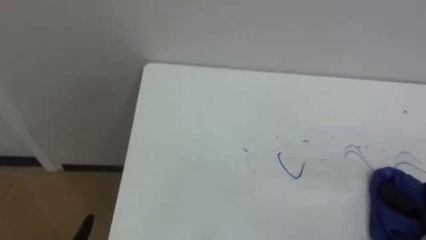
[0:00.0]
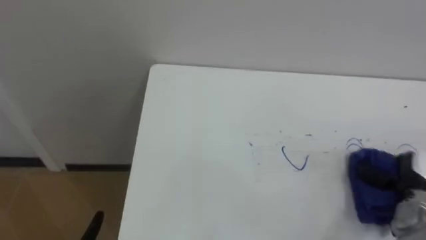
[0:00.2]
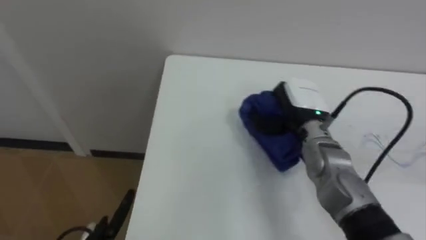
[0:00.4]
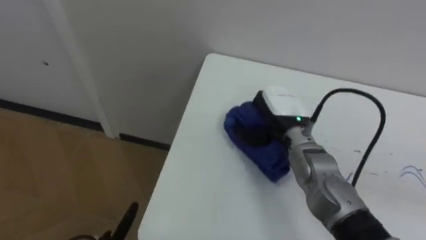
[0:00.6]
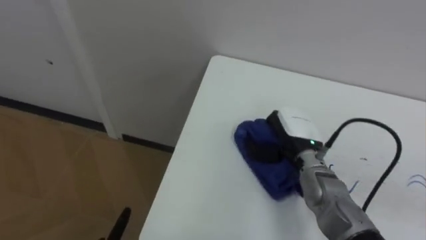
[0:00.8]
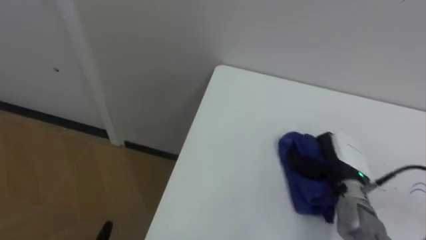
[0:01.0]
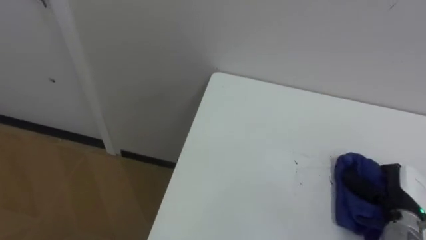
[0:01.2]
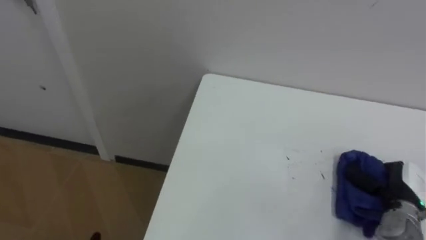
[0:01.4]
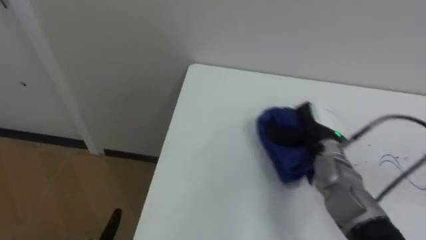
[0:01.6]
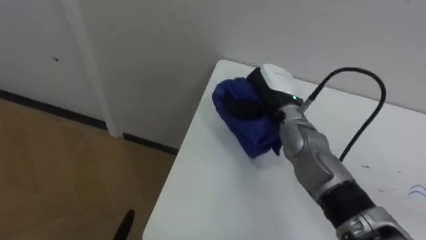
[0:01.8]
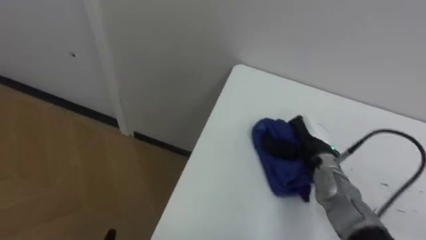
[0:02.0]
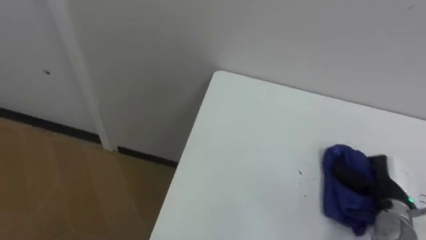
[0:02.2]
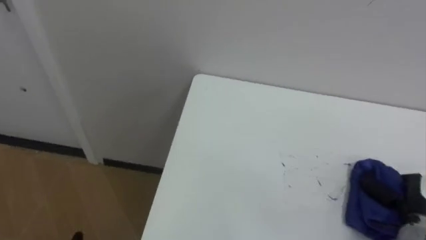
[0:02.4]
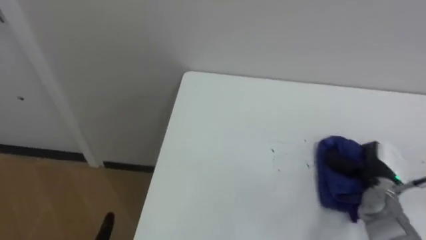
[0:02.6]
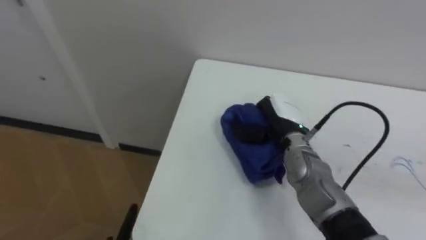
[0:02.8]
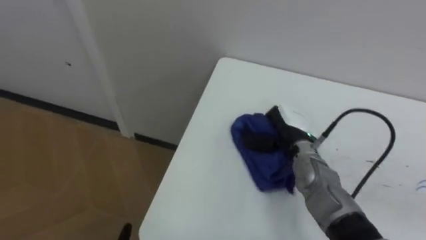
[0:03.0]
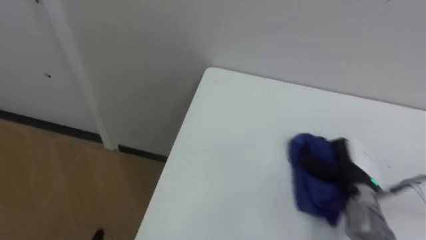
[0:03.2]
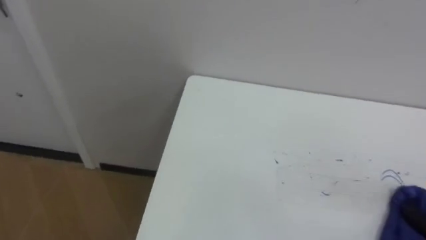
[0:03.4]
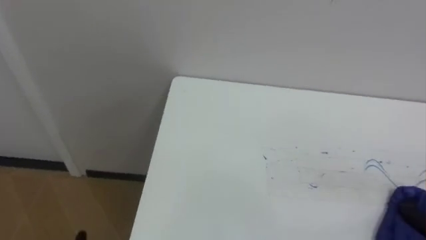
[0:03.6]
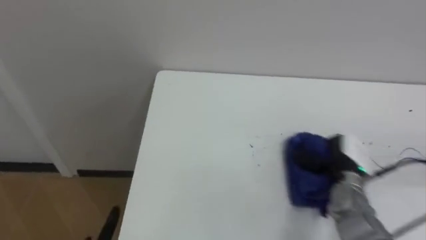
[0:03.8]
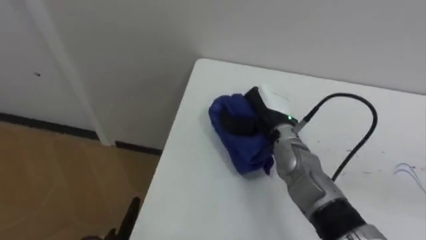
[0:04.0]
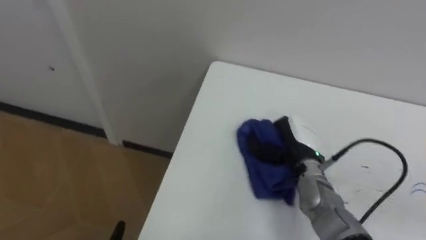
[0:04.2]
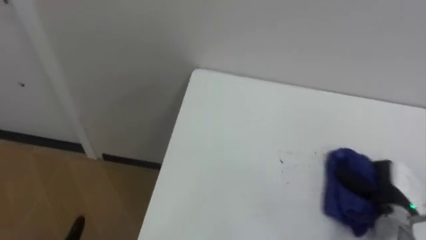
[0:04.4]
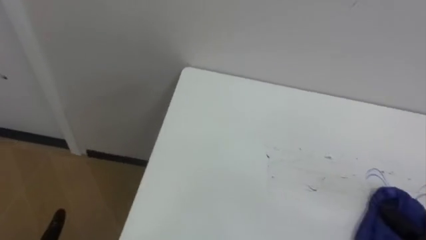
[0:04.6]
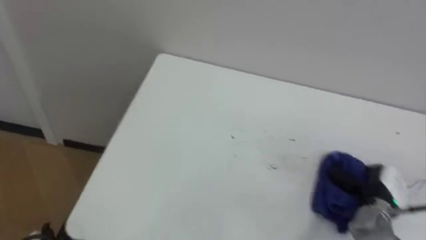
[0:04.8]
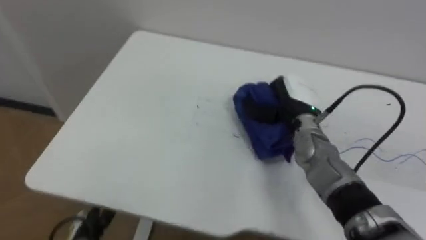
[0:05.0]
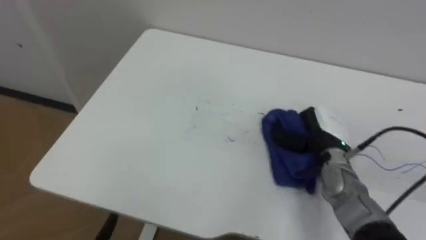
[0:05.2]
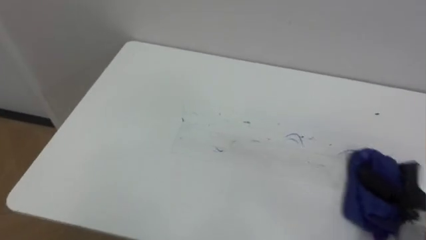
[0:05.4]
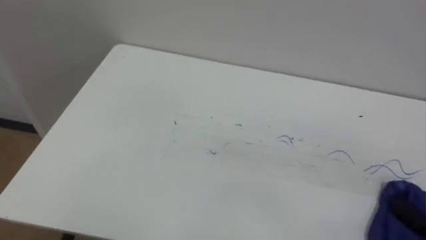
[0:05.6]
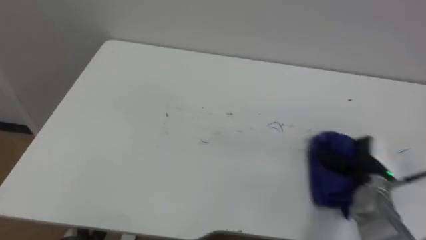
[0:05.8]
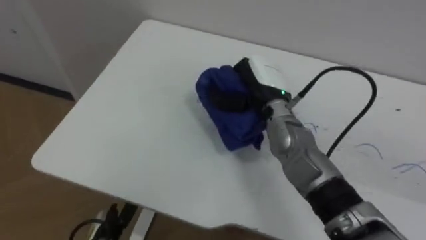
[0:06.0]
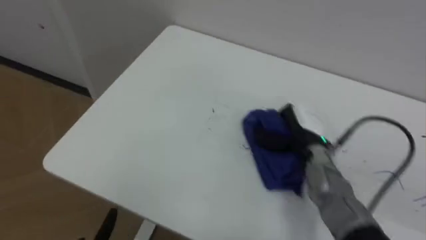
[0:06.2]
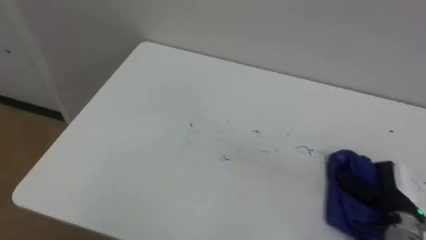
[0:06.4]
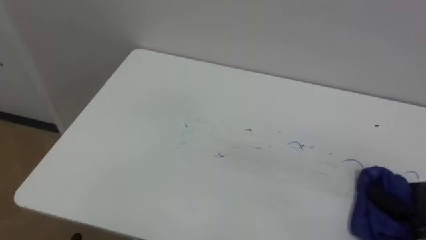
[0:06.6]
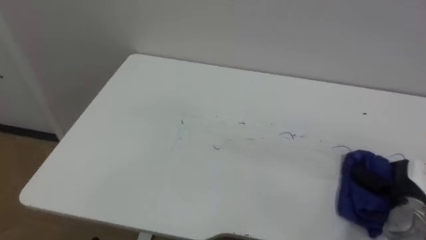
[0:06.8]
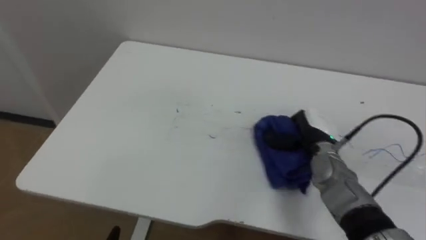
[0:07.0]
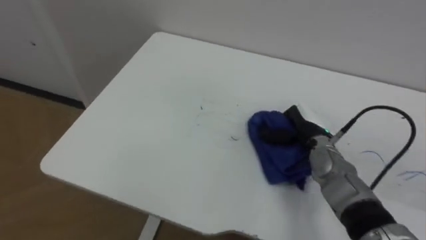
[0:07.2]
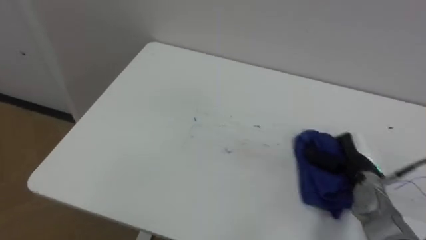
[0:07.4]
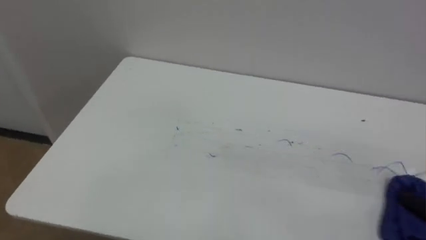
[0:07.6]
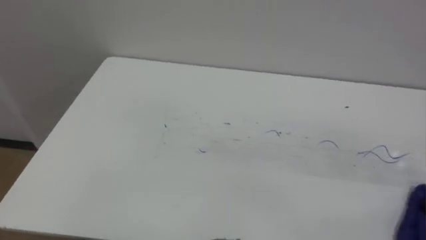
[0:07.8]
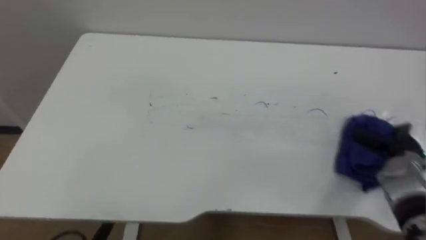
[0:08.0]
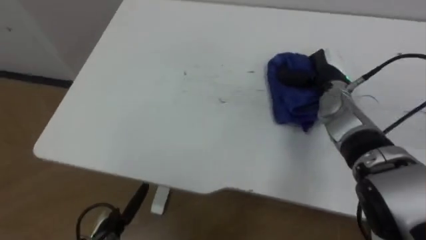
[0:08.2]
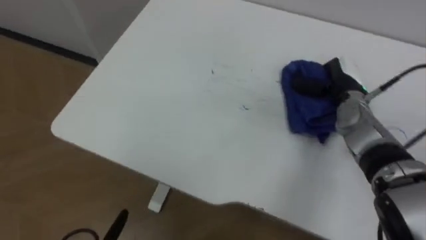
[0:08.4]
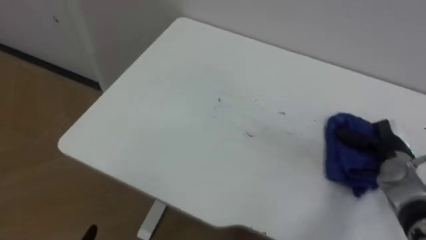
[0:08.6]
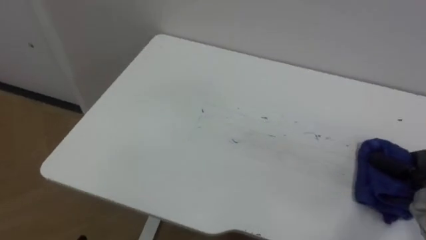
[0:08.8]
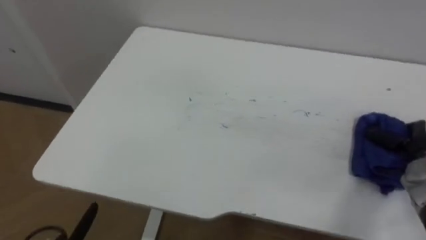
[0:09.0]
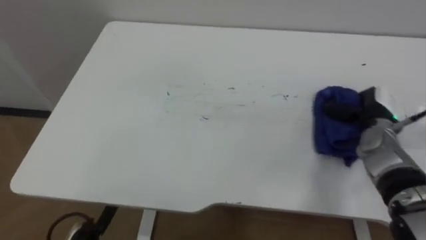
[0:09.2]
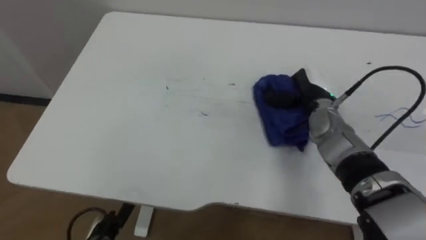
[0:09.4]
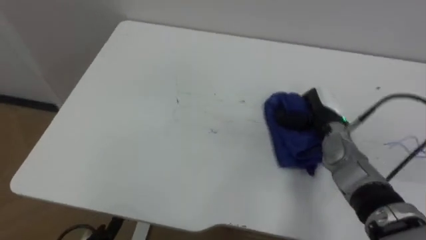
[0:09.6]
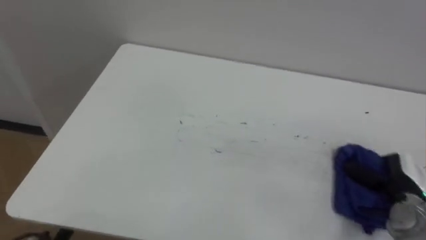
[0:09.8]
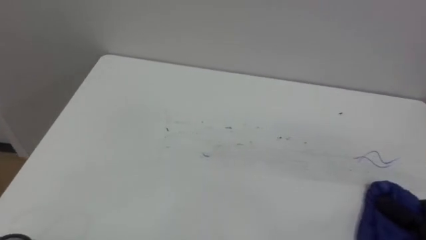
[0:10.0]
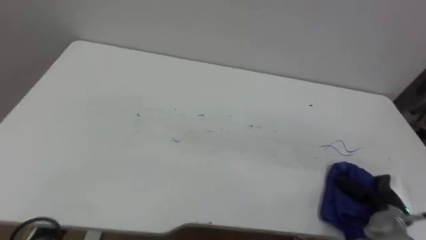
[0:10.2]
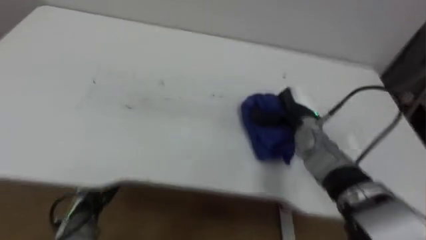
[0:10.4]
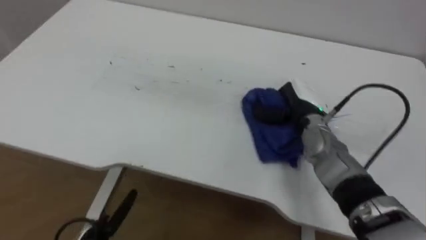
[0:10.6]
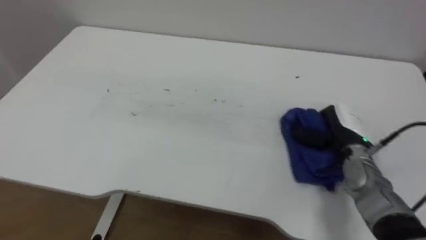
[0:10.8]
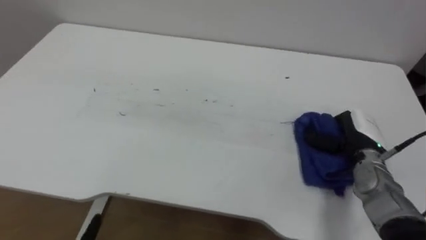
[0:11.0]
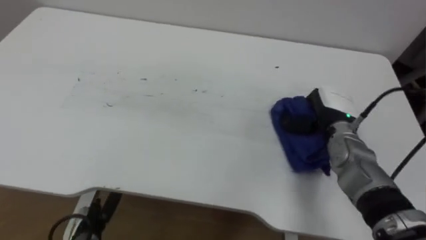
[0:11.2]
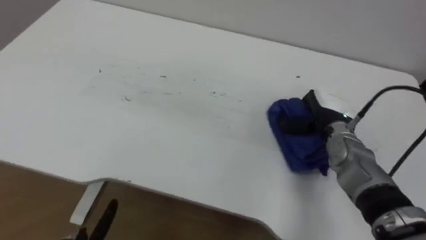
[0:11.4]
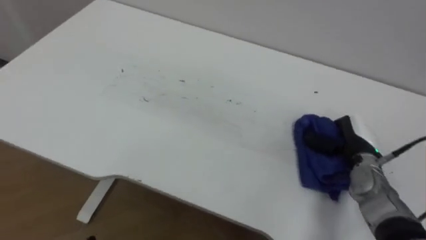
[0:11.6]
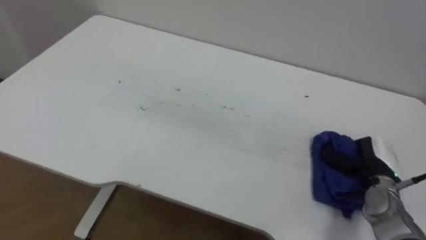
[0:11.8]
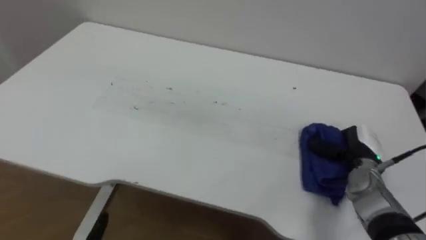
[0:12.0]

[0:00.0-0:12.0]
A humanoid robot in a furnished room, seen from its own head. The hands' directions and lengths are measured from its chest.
Task of the whole recording: Wipe the blue pen marks off the table with the rag.
0:01.6 to 0:03.0: The right hand moves left and right over about 25 cm, changing direction 2 times.
0:10.4 to 0:12.0: The robot rotates roughly 15 degrees to its left. The right hand goes left and right, about 15 cm each way, reversing 2 times.

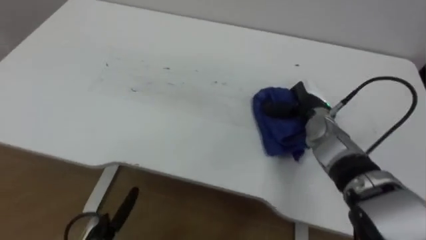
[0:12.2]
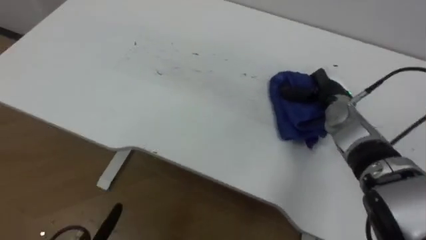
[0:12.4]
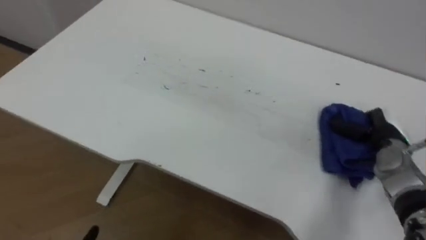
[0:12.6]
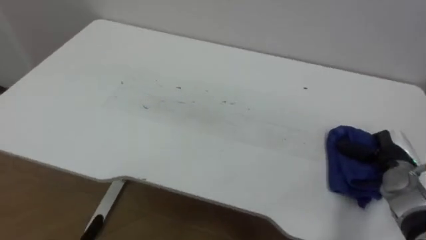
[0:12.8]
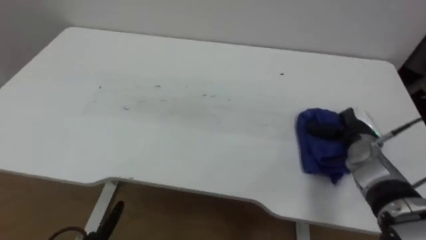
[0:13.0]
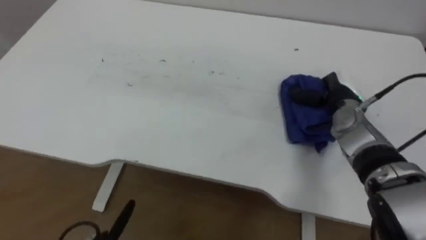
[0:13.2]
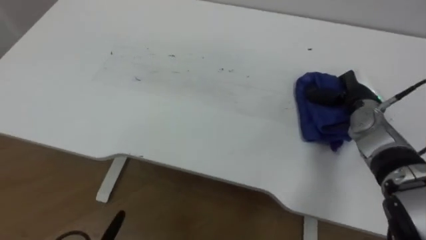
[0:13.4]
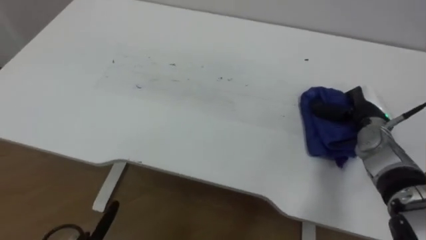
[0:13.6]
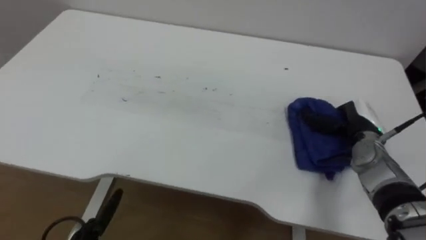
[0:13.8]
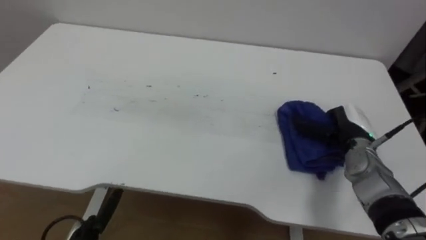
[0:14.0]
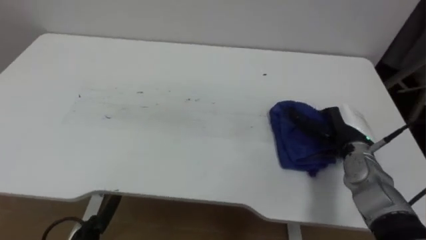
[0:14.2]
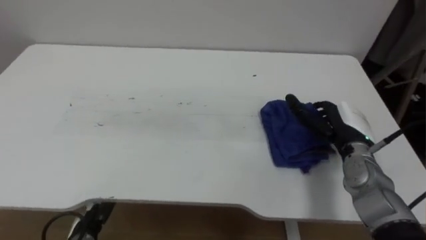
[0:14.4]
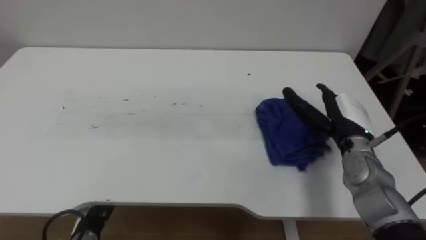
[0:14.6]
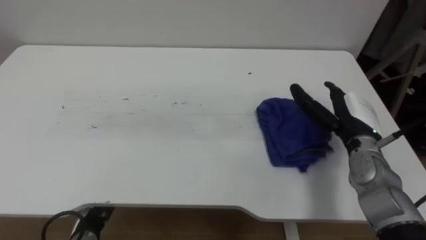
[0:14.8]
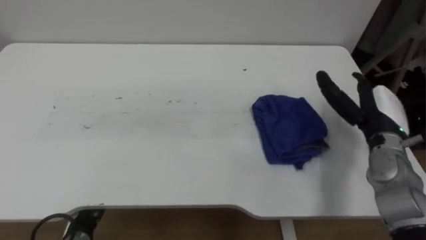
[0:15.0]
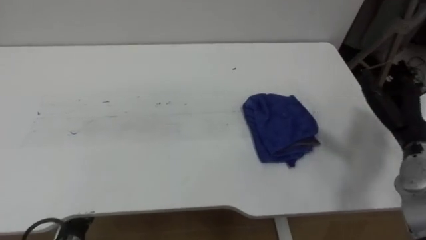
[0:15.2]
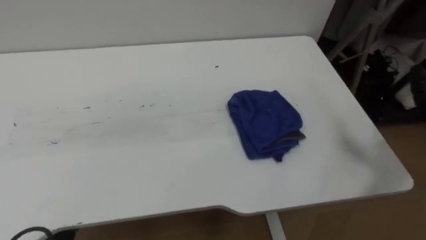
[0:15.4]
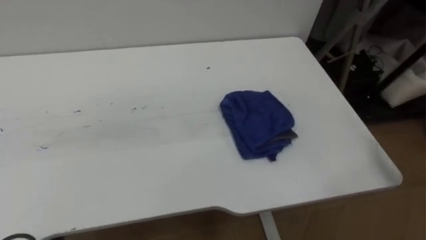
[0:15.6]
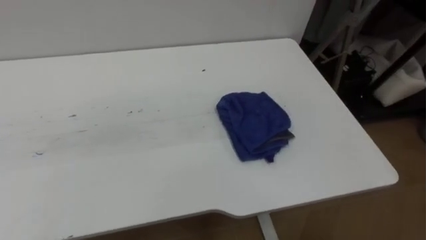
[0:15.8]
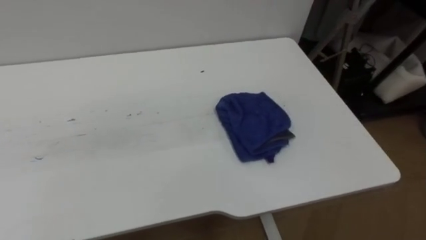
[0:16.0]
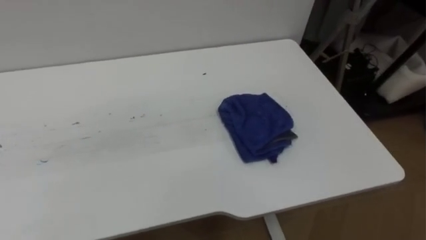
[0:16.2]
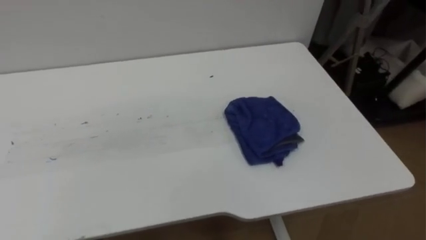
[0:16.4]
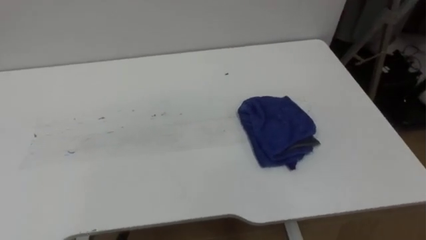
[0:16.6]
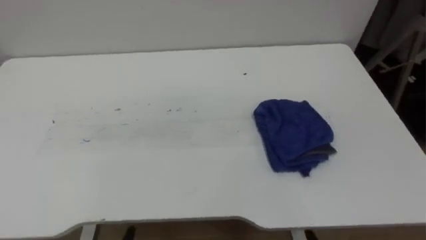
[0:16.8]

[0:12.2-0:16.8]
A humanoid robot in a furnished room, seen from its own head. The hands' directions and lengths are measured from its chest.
Task of the whole recording: Wipe the blue pen marks off the table with the rag.
0:12.2 to 0:13.8: The right hand swings left and right, about 15 cm each way, with 2 reversals.
0:13.8 to 0:15.2: The right hand is displaced upward, to the right and backward by some 10 cm, and opens its fingers.
